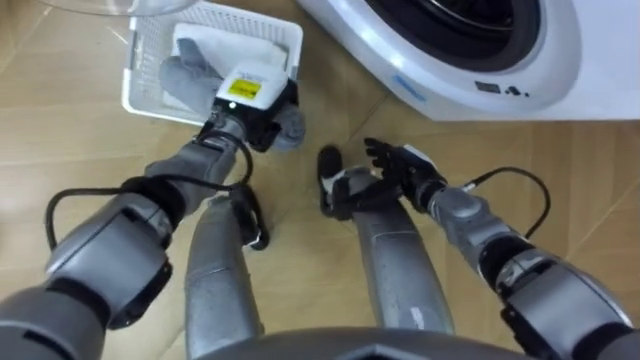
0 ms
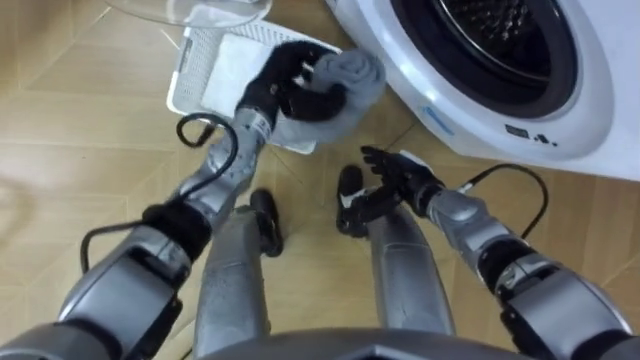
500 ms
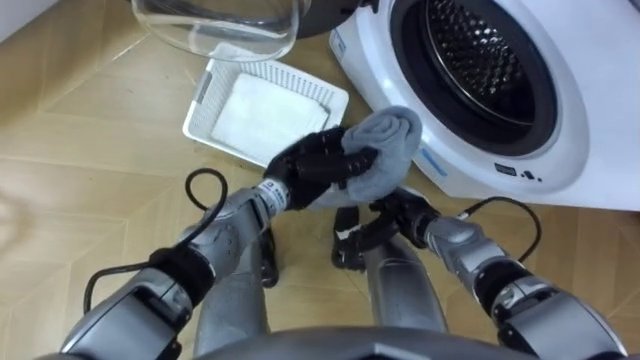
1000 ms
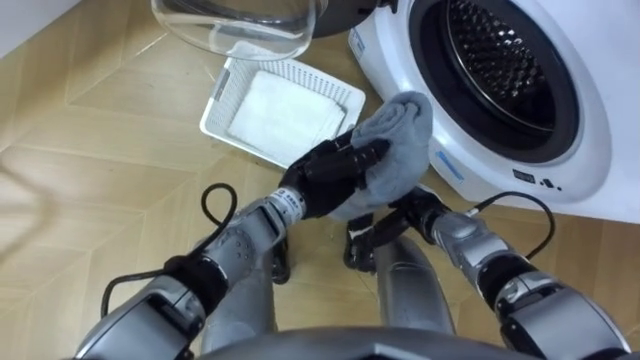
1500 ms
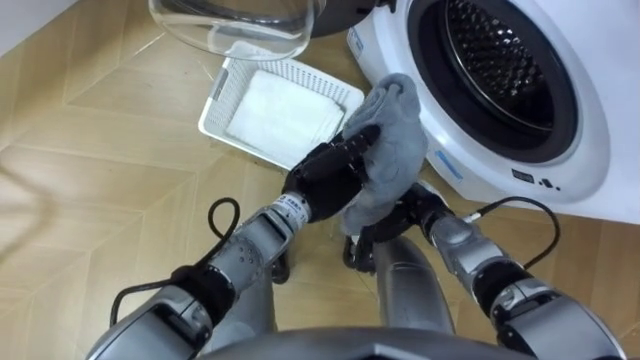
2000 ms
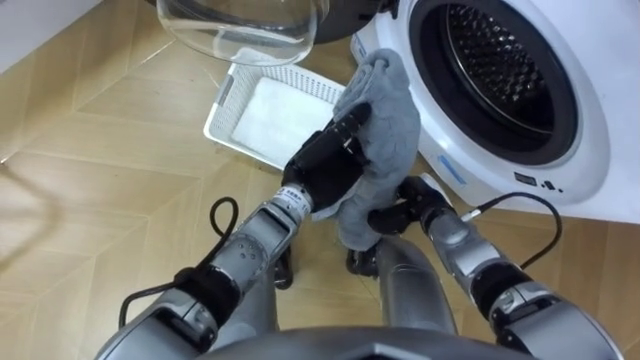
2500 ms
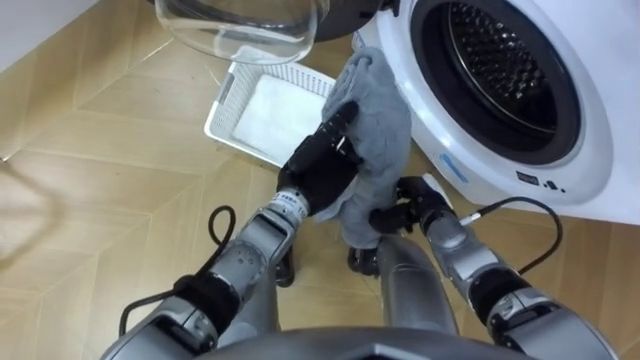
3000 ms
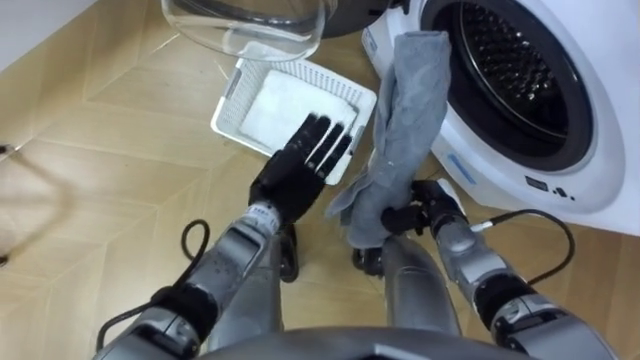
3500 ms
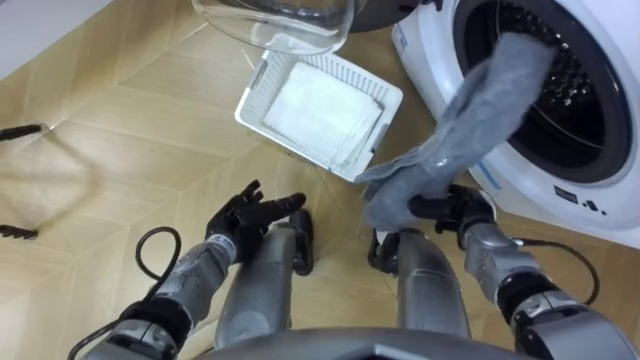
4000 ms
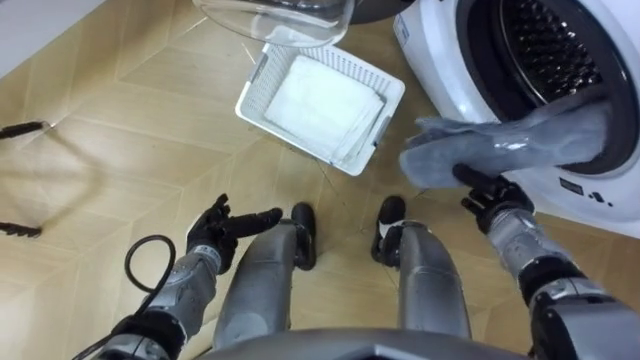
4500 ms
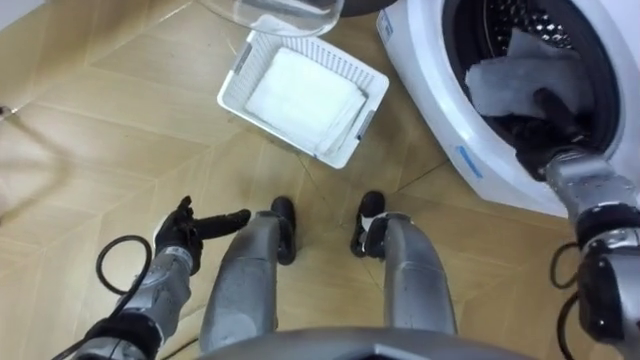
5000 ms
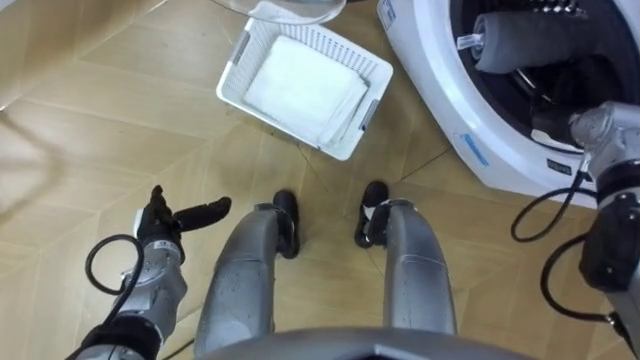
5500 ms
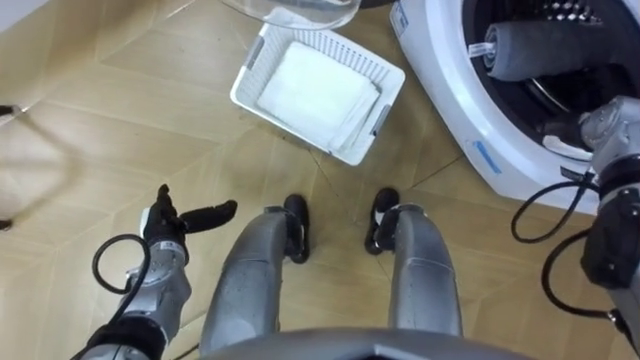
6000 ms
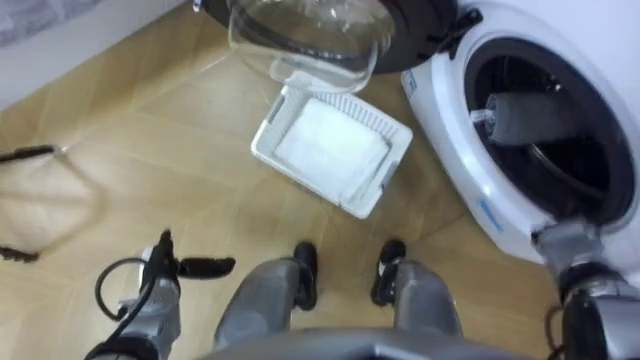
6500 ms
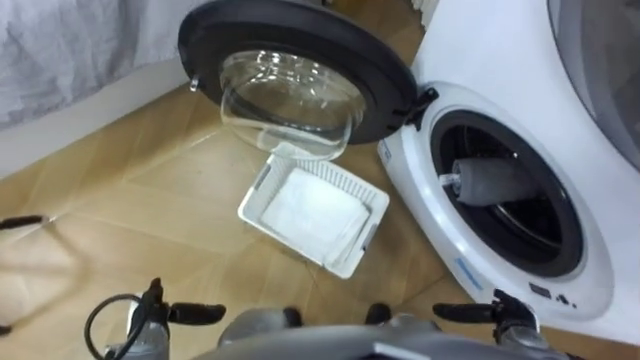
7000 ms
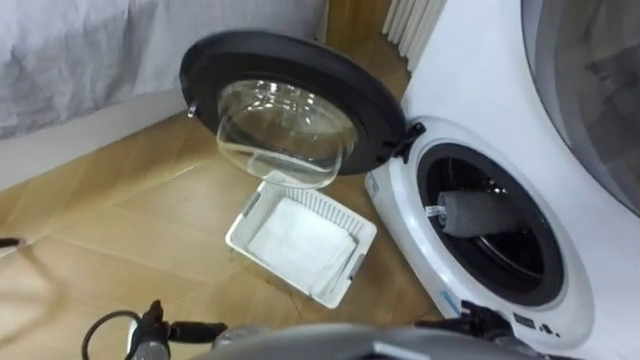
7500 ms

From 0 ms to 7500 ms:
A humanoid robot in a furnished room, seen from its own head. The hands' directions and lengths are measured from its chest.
Task of the whole recording: Take the towel from the basket and put it into the washing machine.
From 0 ms to 2000 ms: The right hand moves about 5 cm. Meanwhile the left hand shifts roughly 15 cm backward and to the right.
From 2000 ms to 4000 ms: The left hand is displaced to the left and downward by some 15 cm, and opens its fingers. Meanwhile the right hand shifts about 10 cm to the right, and closes its fingers.
From 4000 ms to 5500 ms: The right hand heads to the right, upward and forward, covering some 20 cm, and opens up. Meanwhile the left hand is displaced to the left by about 10 cm.
From 5500 ms to 7500 ms: The right hand shifts some 35 cm backward and downward, while the left hand is displaced backward and downward by roughly 15 cm.

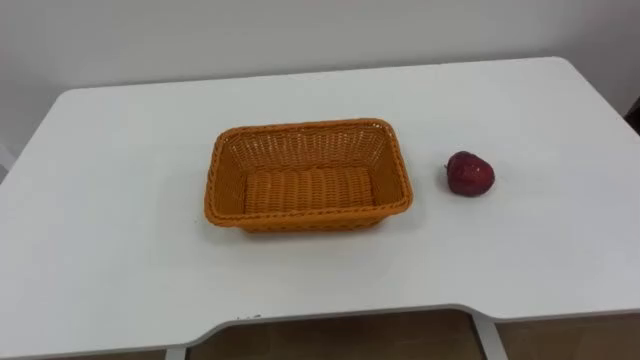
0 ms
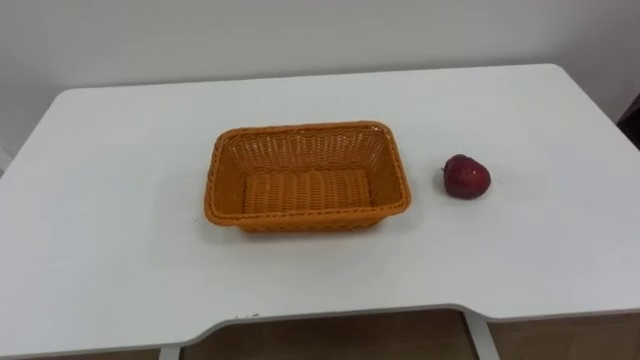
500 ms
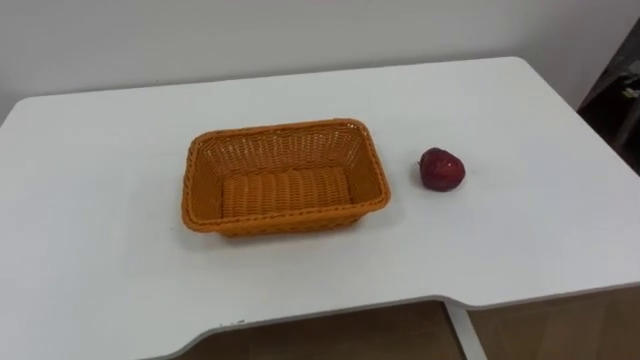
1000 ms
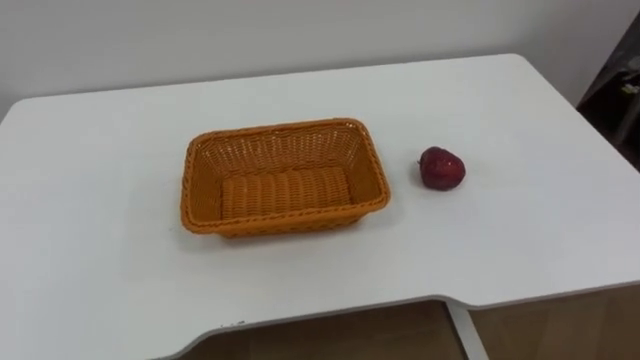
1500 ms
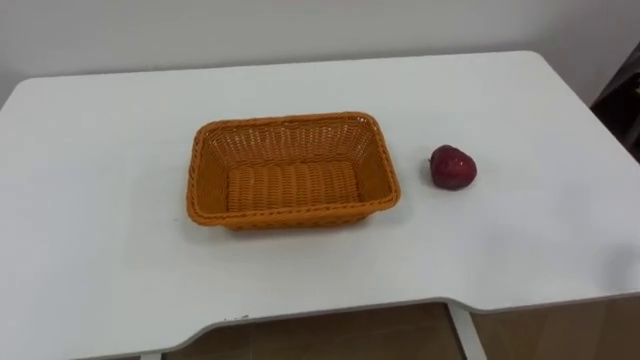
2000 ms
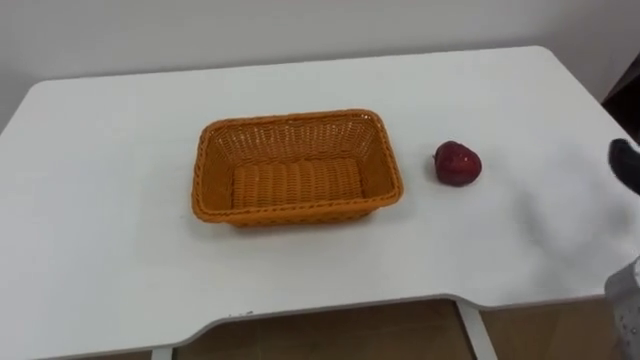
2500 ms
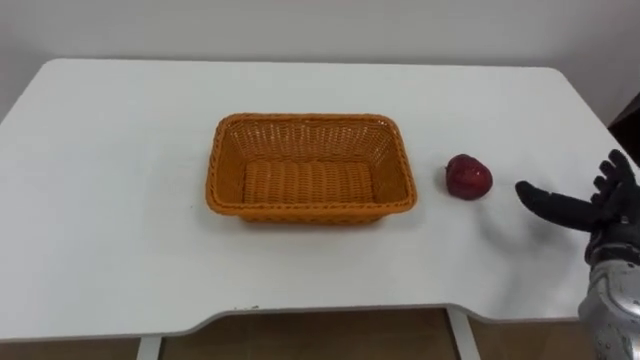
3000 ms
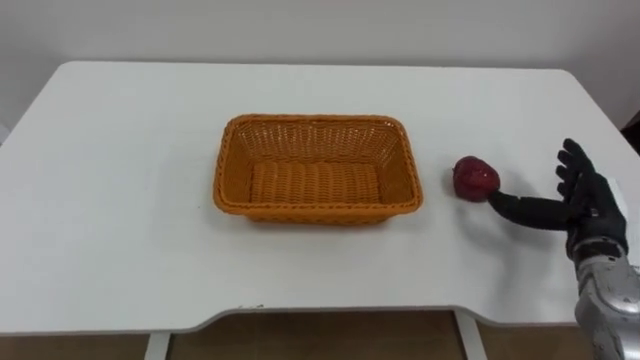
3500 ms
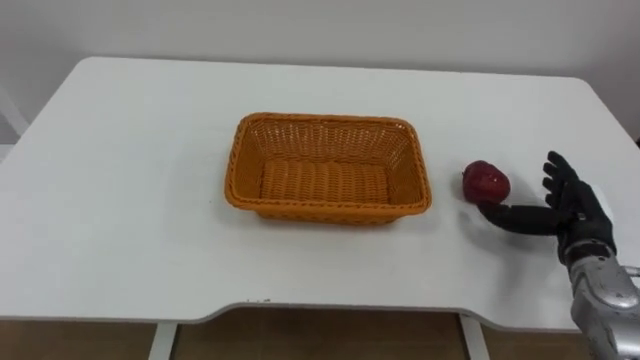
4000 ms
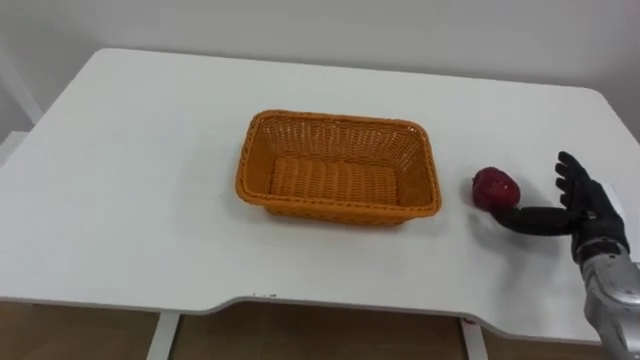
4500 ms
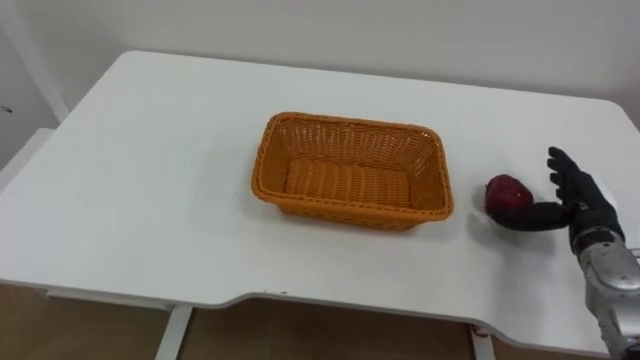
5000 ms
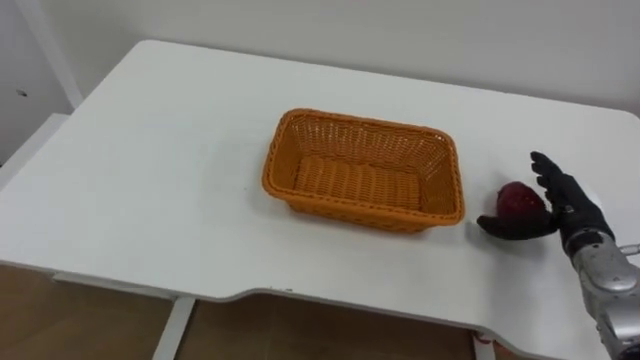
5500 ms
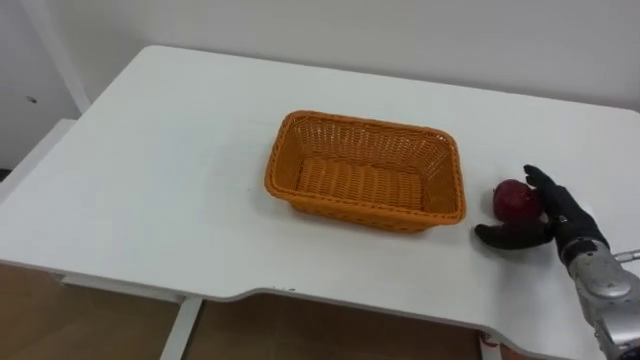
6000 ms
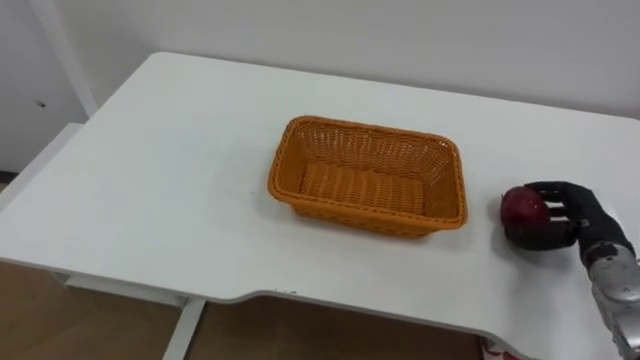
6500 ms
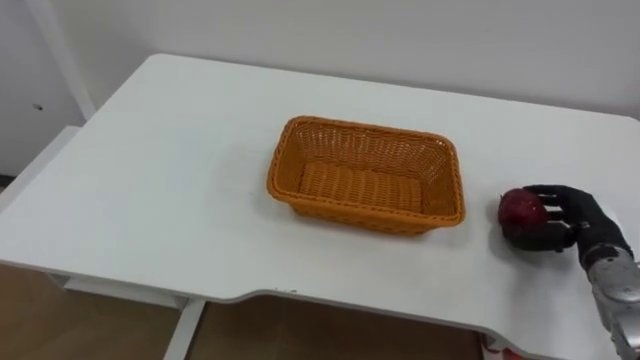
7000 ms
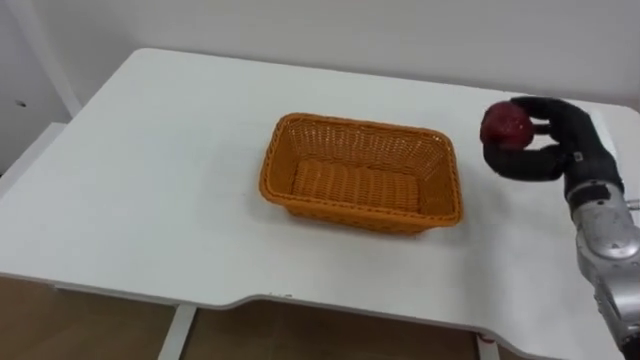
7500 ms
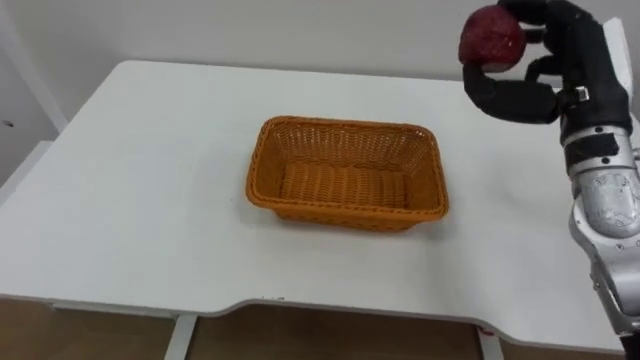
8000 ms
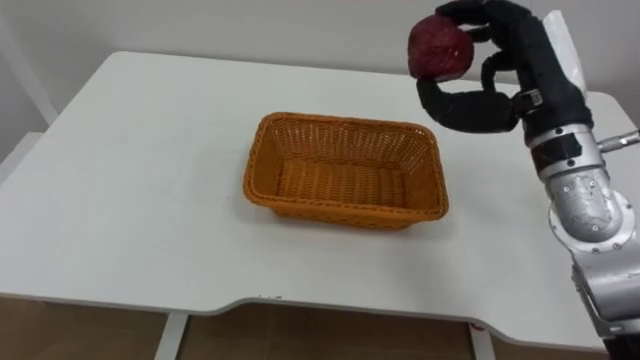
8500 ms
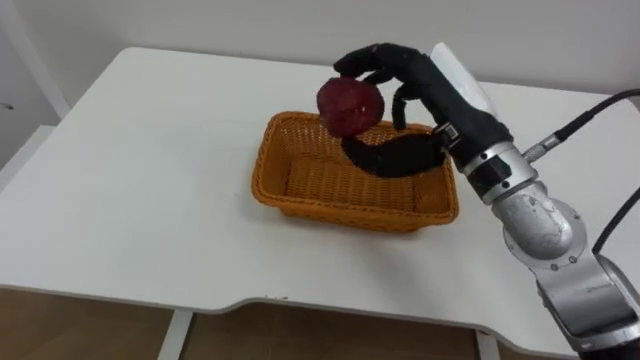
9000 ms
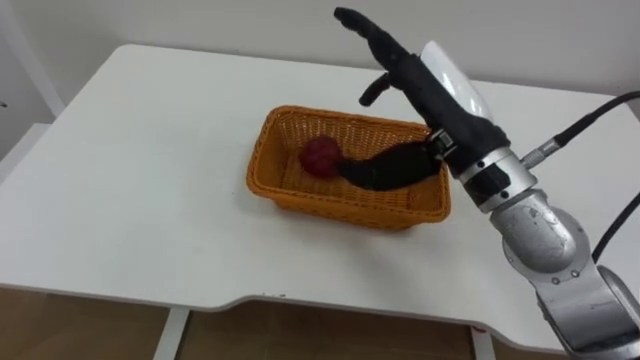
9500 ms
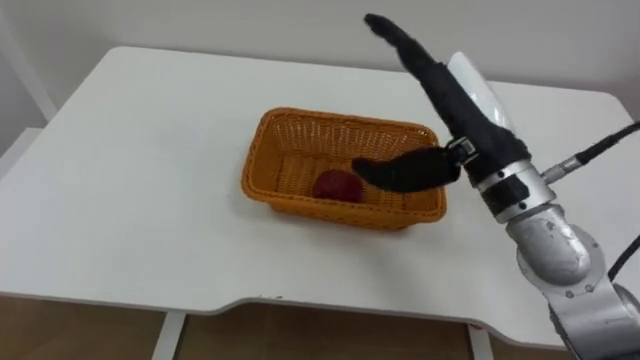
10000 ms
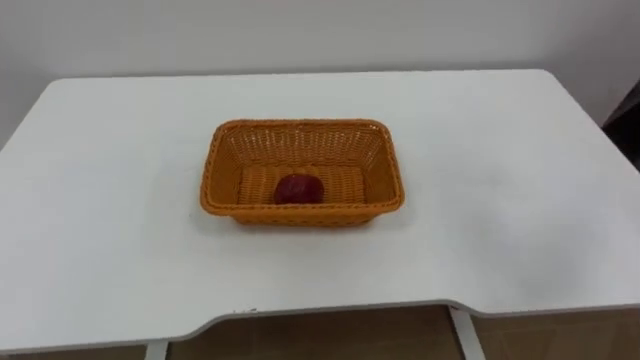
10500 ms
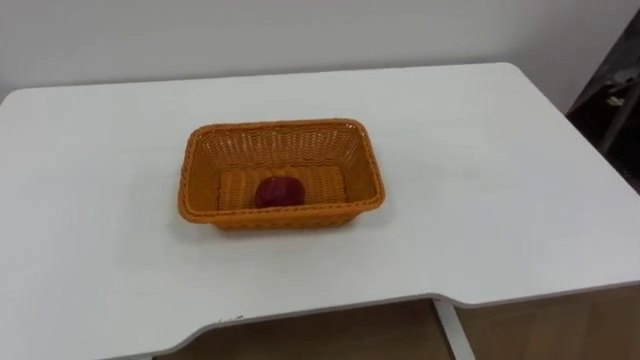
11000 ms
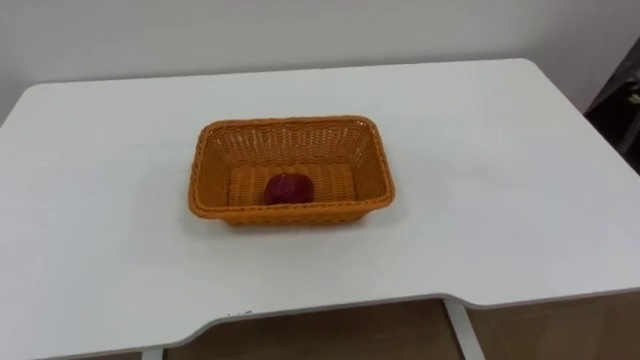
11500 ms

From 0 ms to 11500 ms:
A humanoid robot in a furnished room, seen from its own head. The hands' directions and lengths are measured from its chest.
Task of the whole recording: Pick the apple and place it in the box.
From 6000 ms to 7500 ms: The right hand moves upward, some 10 cm, and closes its fingers.
From 7500 ms to 9500 ms: The right hand travels to the left and upward by about 25 cm, and opens.

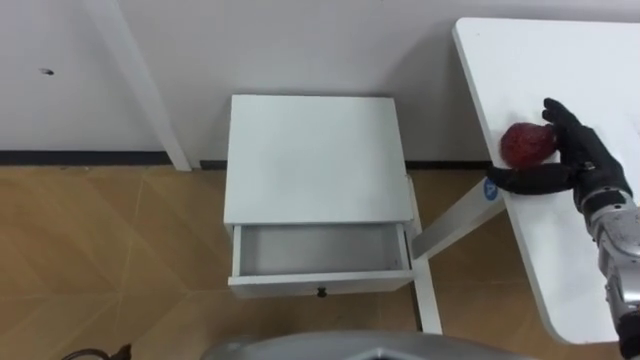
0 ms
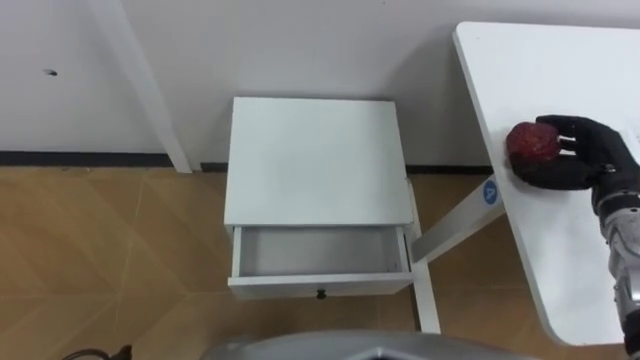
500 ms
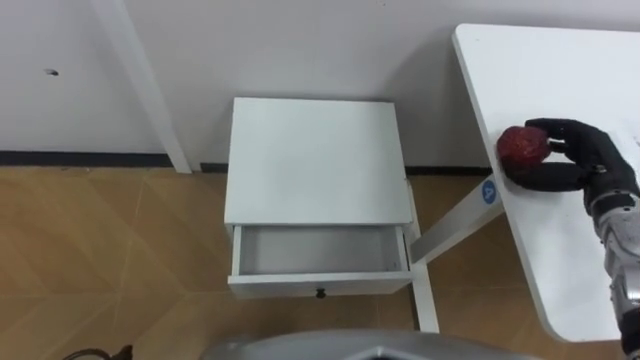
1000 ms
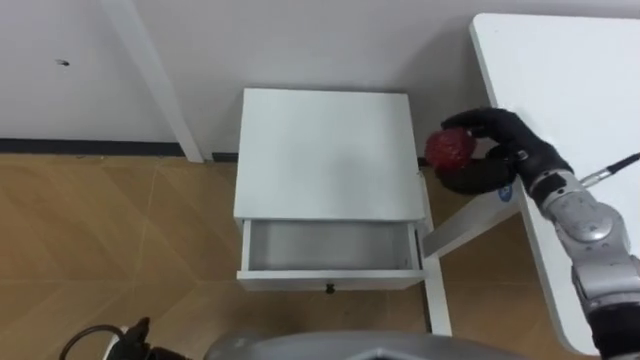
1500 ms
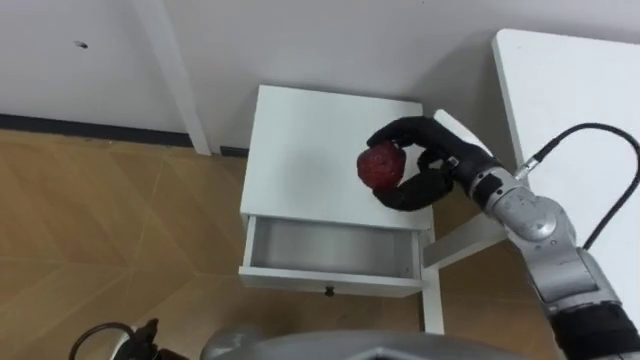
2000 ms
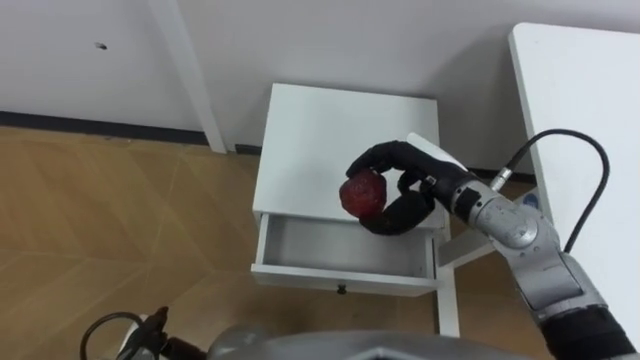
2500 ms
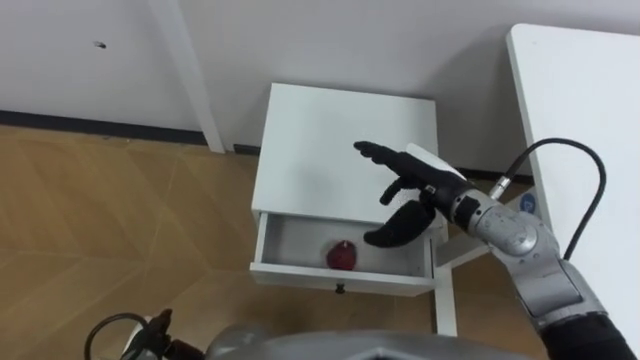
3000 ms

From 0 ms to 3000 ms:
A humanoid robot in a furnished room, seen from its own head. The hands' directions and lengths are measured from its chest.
Task of the whole recording: Pick up the apple from the table, put it in the drawer, and close the drawer with leg.
From 0 ms to 1500 ms: The right hand goes some 10 cm to the left, and closes up.
From 1500 ms to 3000 ms: The right hand shifts some 10 cm to the left, and opens.
